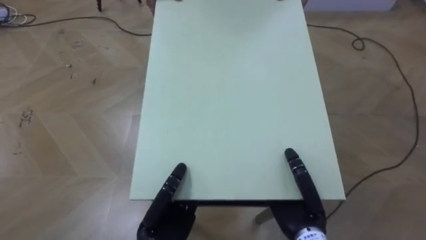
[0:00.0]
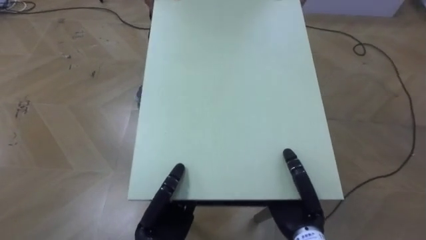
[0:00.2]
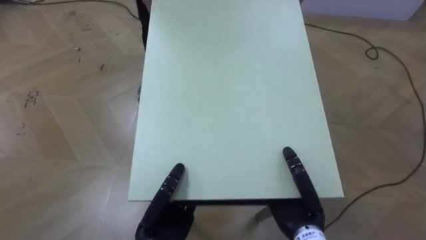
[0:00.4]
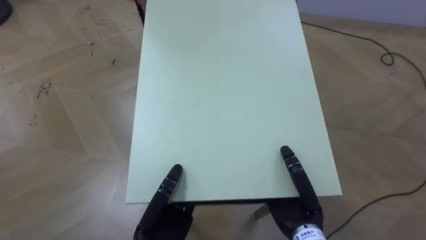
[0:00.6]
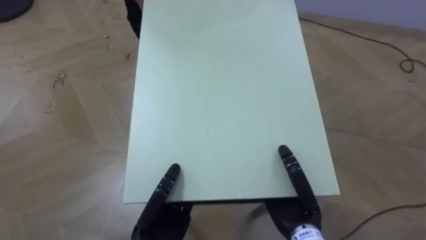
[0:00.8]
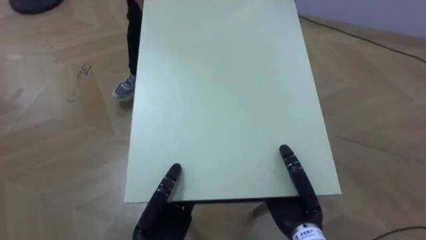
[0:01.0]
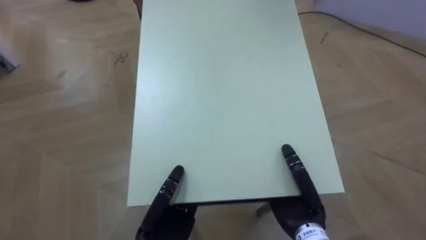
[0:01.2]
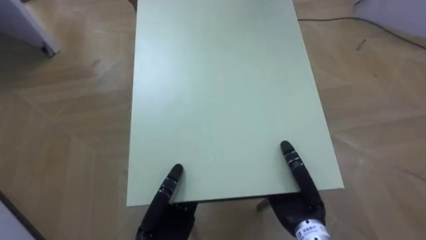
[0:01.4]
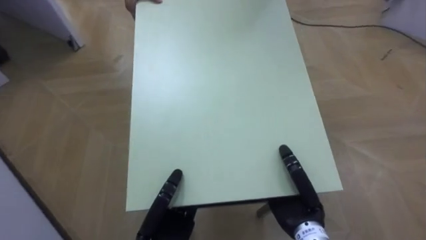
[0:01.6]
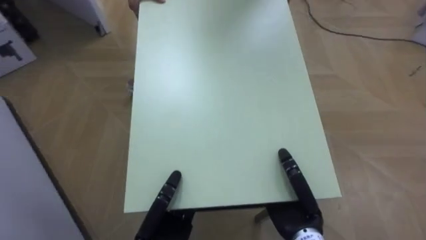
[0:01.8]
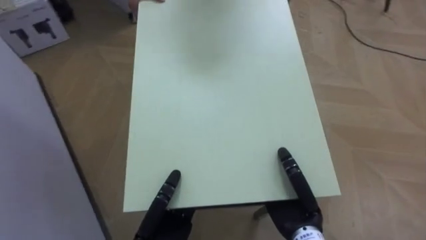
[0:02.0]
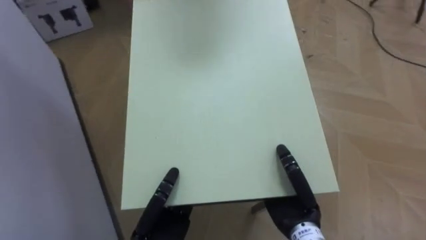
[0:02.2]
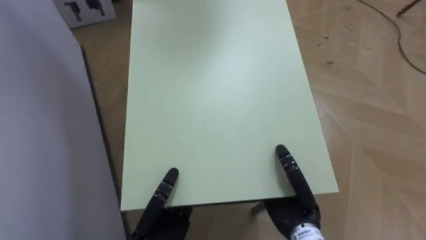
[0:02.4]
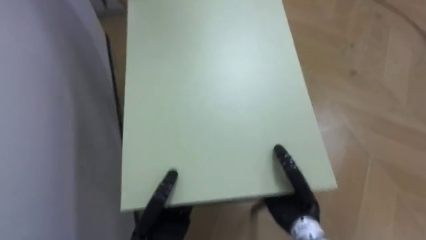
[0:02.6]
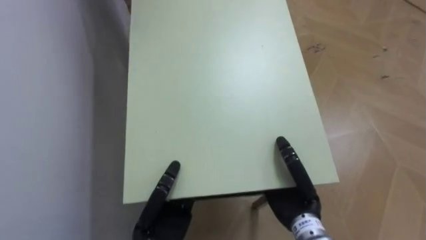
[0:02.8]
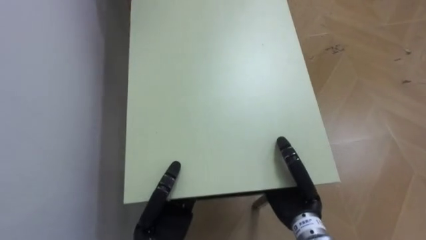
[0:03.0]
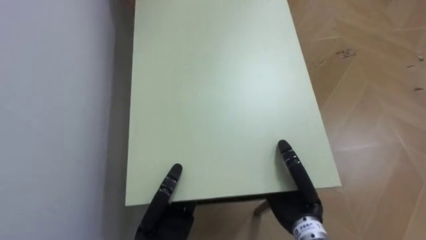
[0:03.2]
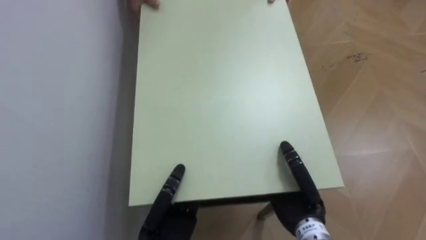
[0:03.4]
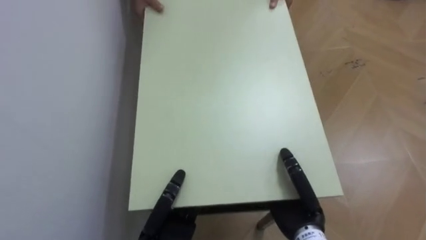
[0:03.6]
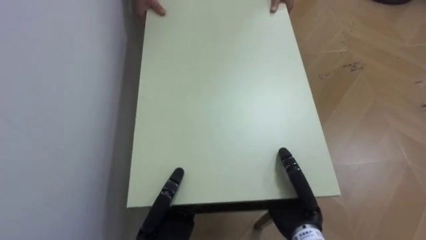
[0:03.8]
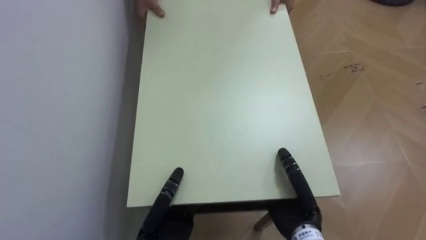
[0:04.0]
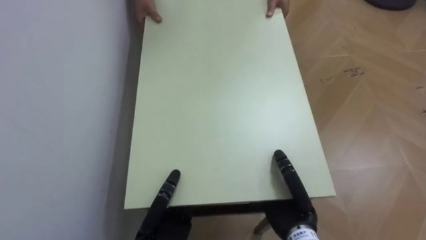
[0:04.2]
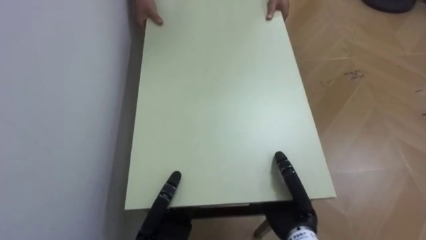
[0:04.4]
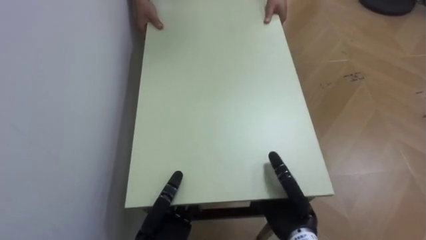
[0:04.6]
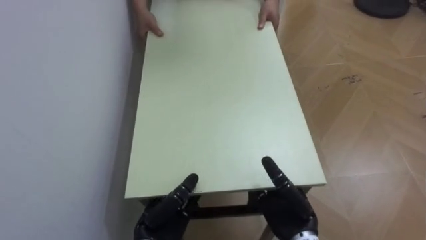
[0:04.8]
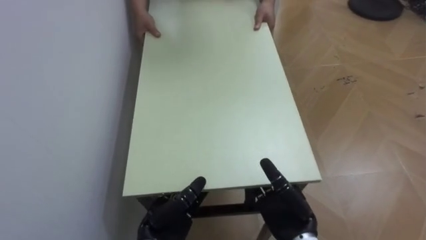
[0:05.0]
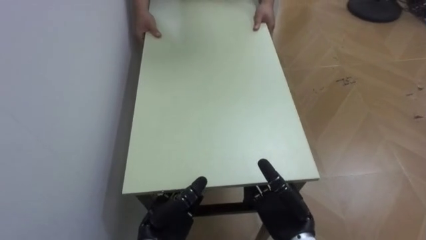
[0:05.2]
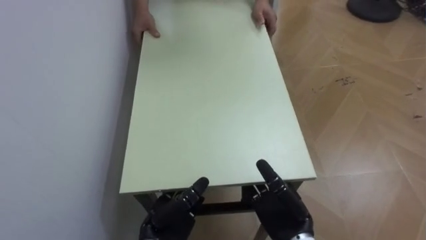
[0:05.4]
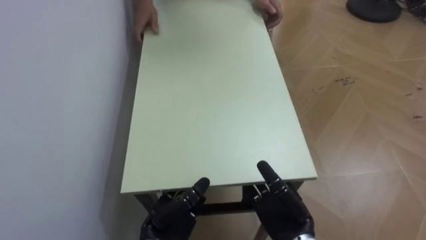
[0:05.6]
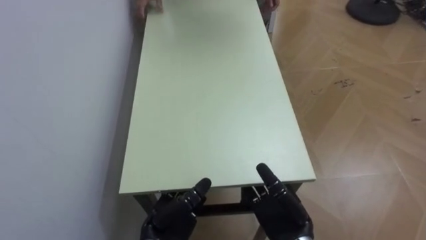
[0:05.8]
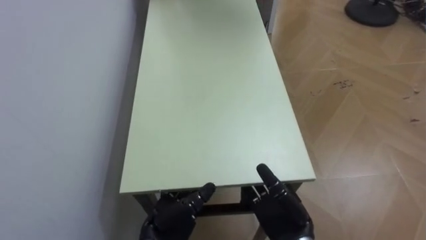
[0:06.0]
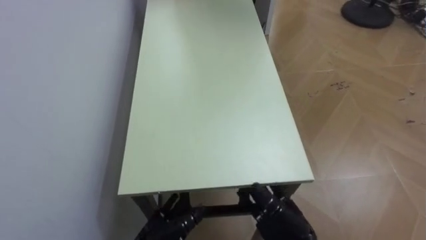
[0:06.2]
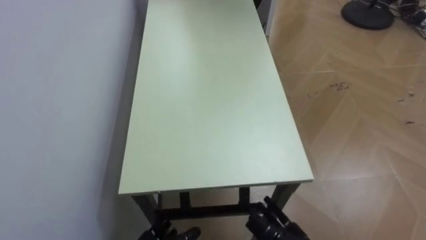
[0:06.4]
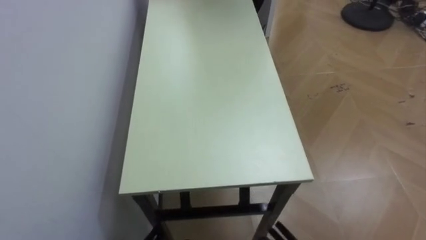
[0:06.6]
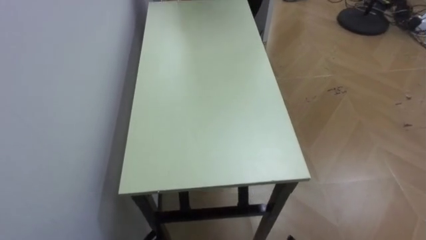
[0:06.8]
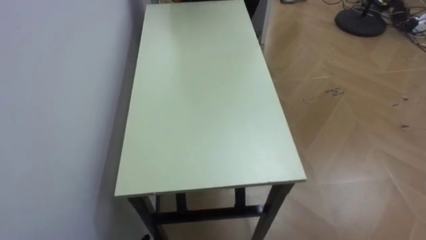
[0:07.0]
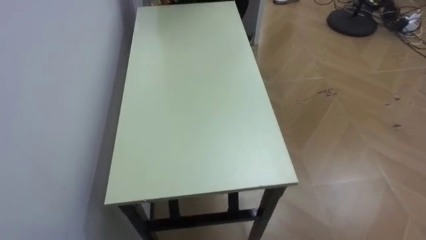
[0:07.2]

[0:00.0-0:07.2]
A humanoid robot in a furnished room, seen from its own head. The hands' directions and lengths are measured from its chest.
Task of the whole recording: Move the table to the back left with someone.
0:00.0 to 0:01.4: The robot turns to its left by about 30 degrees.
0:01.4 to 0:02.8: The robot rotates approximately 45 degrees to its left.
0:04.4 to 0:05.8: The right hand opens its fingers; the left hand opens up.

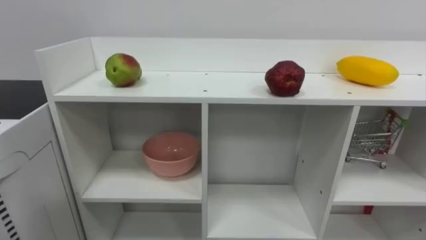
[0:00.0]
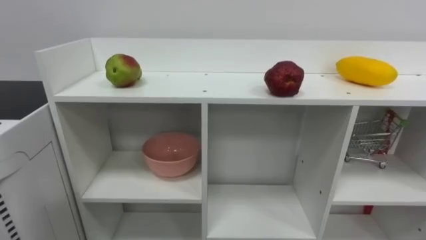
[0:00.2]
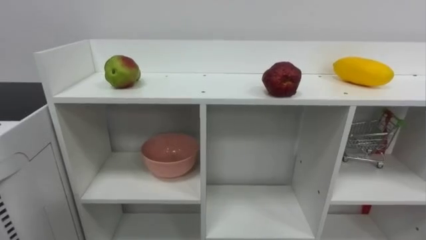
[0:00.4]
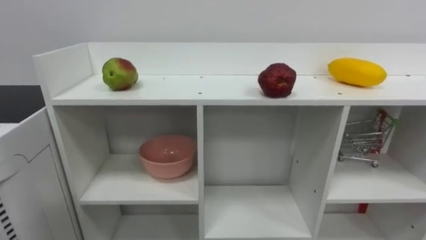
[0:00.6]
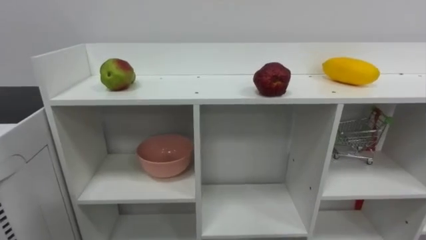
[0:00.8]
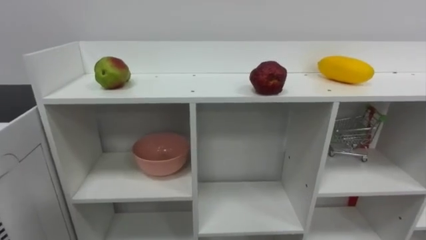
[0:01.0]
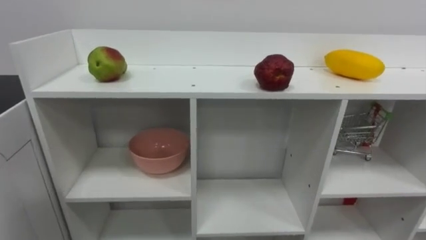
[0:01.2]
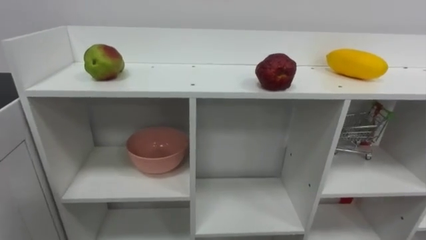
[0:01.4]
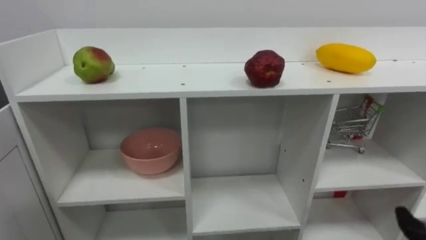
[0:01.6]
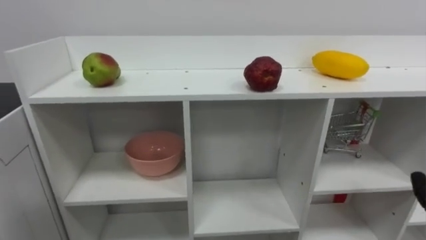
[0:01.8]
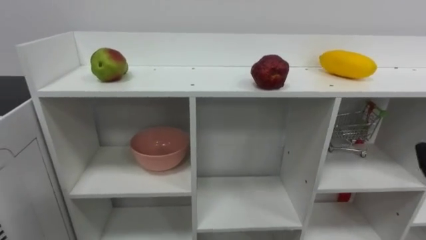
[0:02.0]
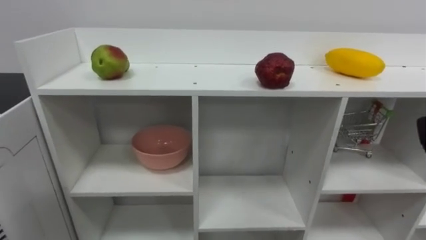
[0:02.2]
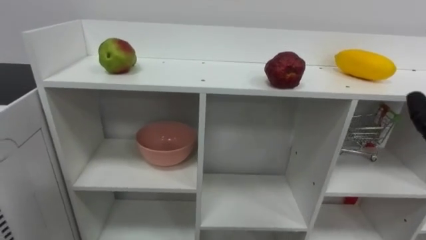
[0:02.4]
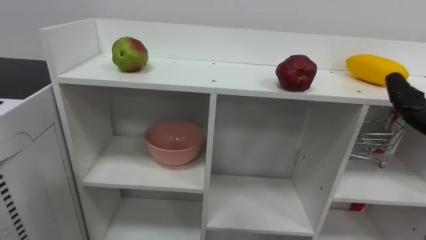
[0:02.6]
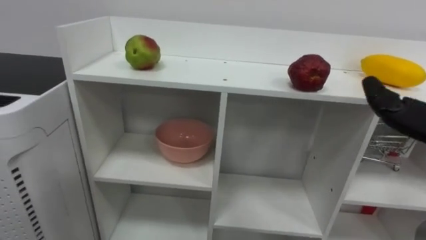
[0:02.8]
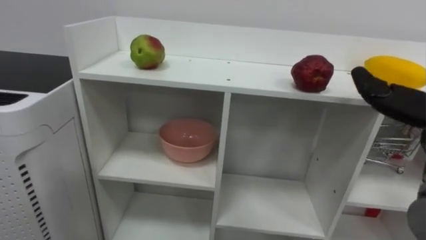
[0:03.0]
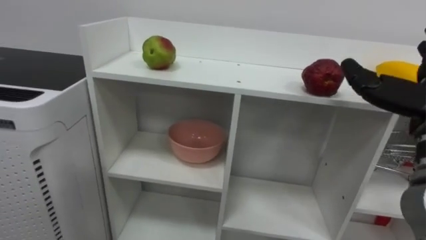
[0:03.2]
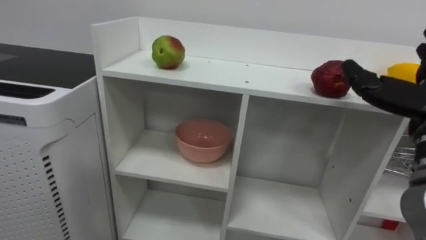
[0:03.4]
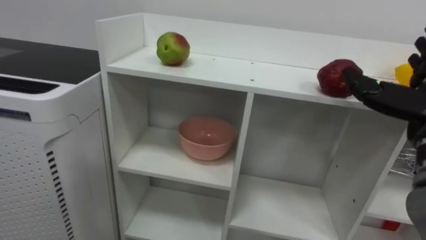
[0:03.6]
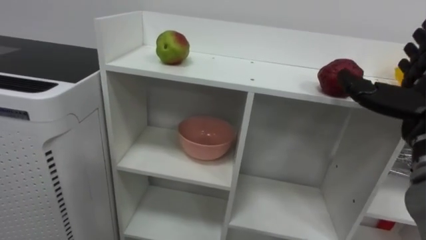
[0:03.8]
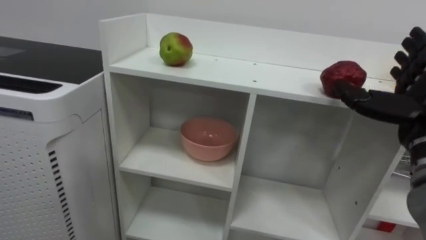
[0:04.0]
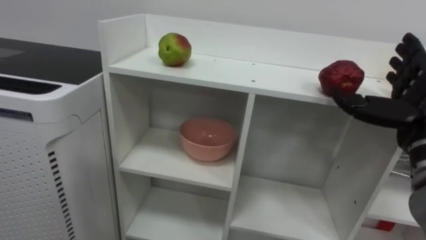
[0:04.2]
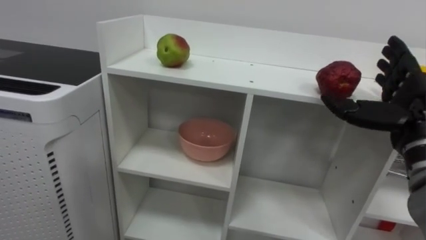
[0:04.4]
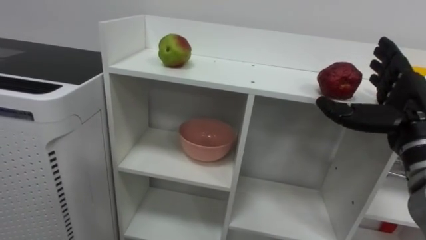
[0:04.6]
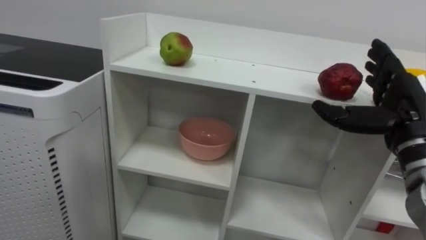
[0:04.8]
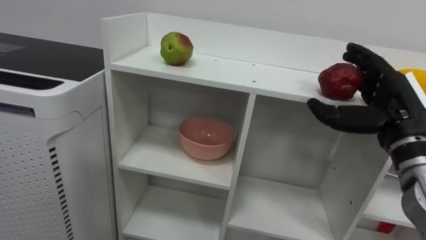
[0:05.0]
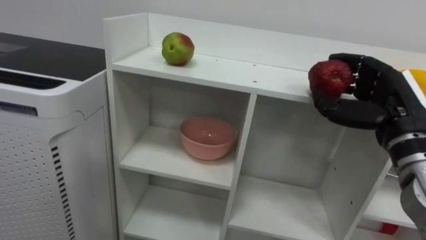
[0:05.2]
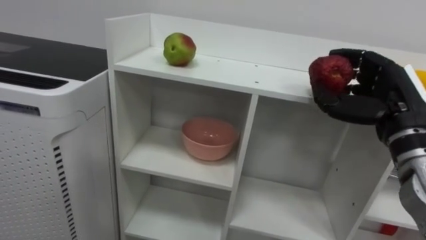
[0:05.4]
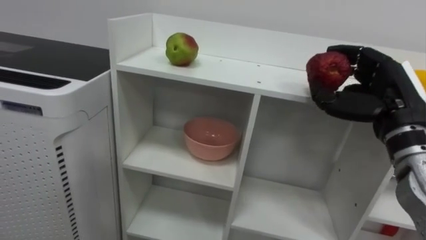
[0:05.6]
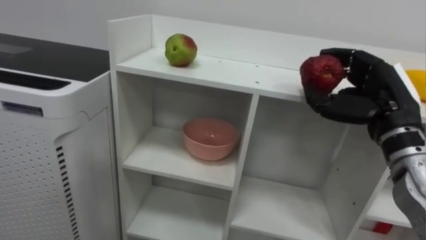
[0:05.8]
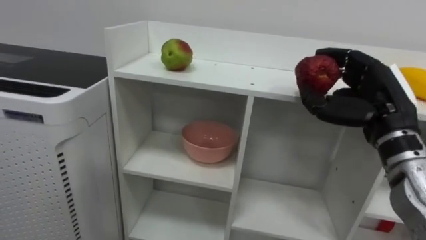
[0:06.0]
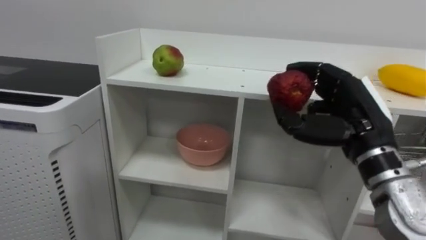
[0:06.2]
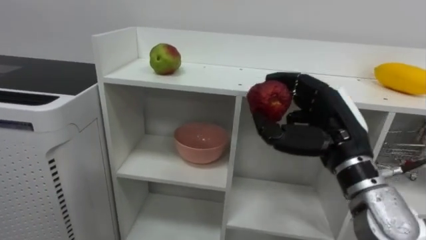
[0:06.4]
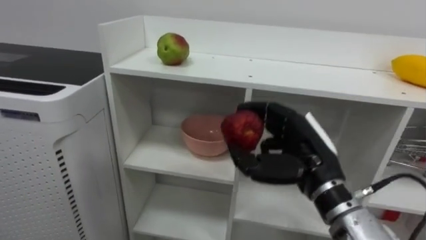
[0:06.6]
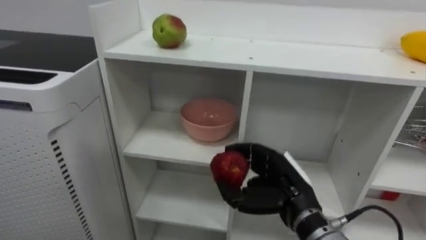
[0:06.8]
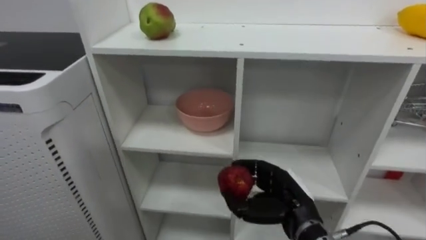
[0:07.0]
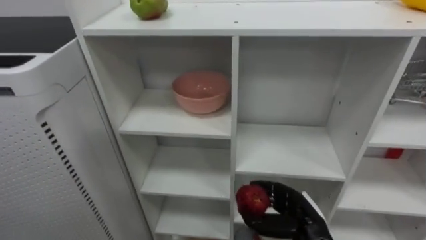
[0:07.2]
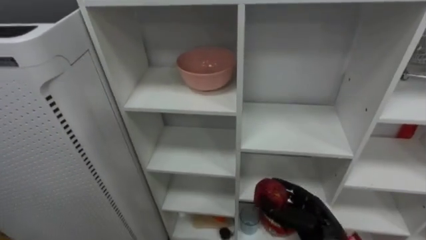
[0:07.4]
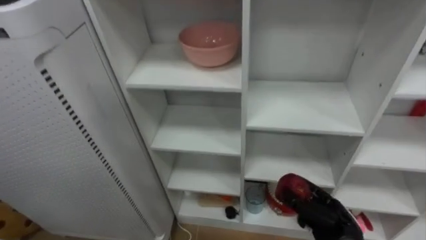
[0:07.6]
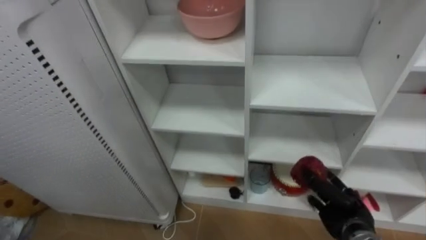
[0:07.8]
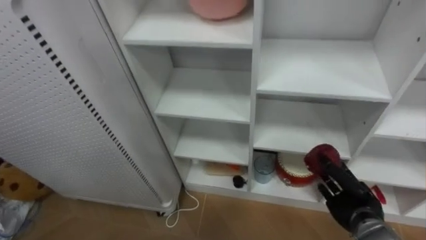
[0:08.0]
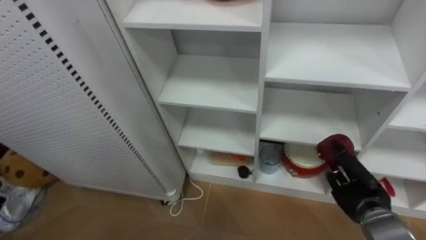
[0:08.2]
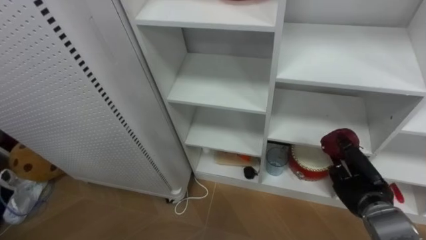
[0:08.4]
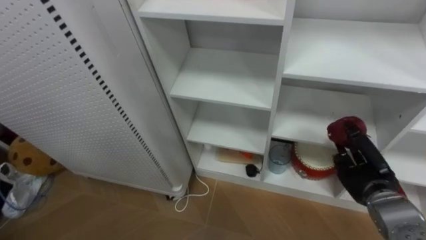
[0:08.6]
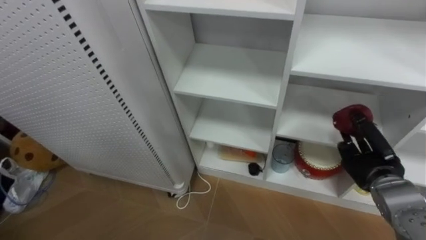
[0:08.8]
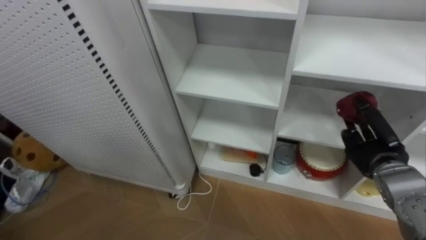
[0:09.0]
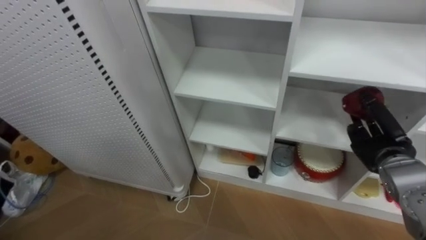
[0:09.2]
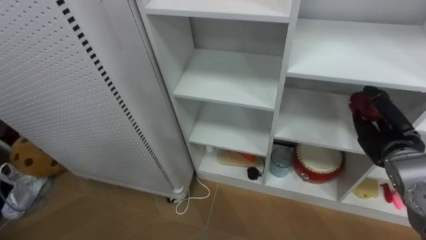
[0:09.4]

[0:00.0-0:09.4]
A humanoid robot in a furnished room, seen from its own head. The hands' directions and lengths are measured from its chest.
Task of the whole recording: Put the apple in the cell in the second column from the left and the second row from the top.
0:04.8 to 0:06.2: The right hand goes roughly 5 cm to the left, and closes.
0:06.2 to 0:07.8: The right hand heads downward, covering some 25 cm.
0:07.8 to 0:09.4: The right hand is displaced upward, to the right and forward by roughly 15 cm.
